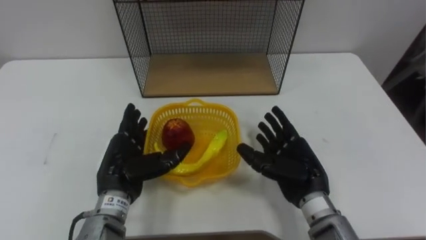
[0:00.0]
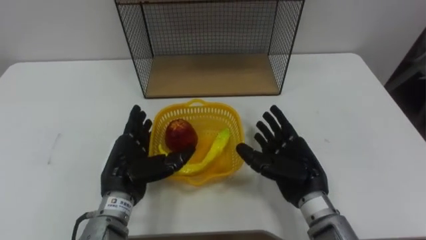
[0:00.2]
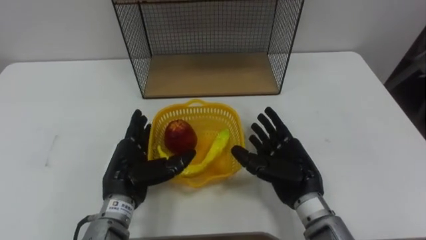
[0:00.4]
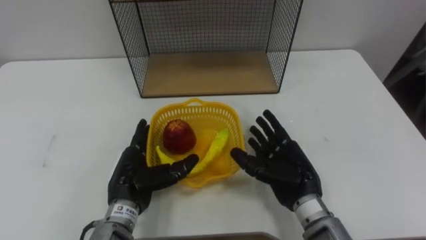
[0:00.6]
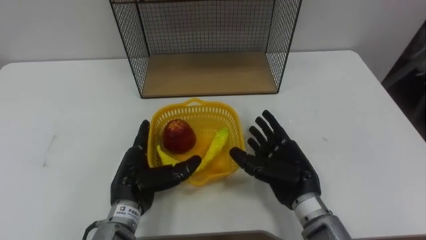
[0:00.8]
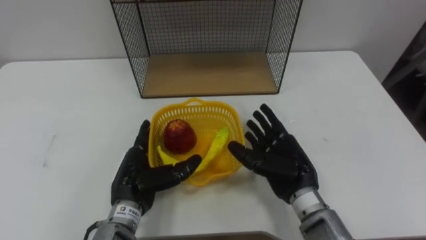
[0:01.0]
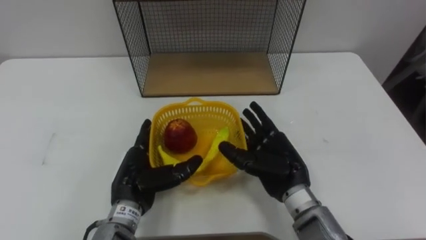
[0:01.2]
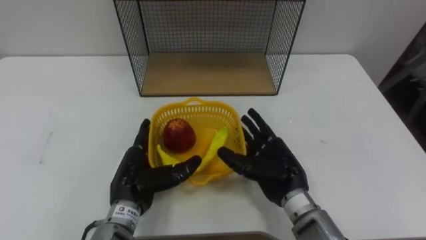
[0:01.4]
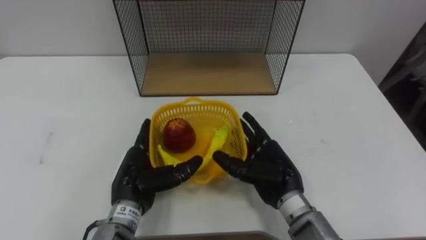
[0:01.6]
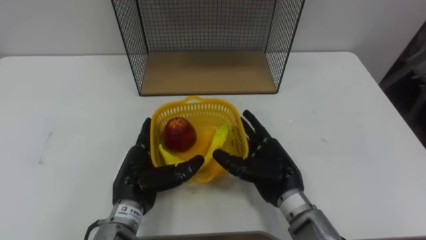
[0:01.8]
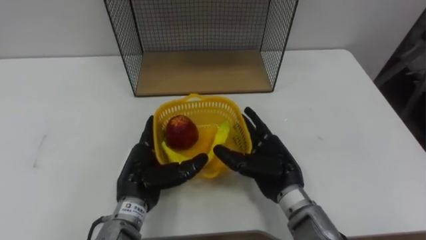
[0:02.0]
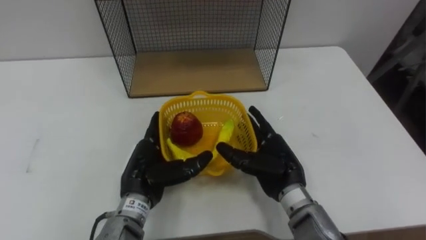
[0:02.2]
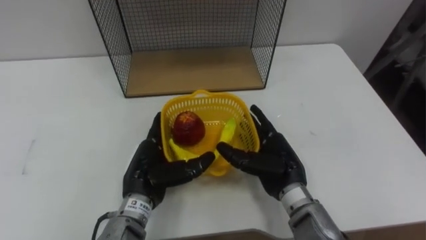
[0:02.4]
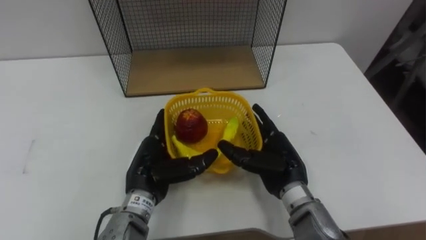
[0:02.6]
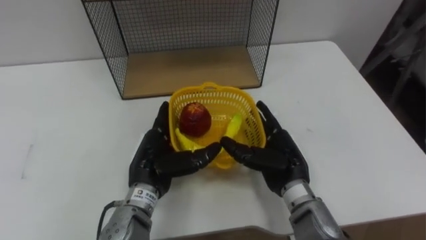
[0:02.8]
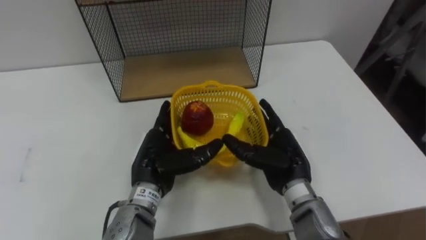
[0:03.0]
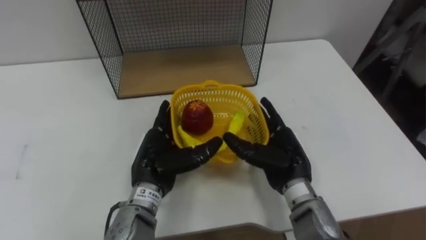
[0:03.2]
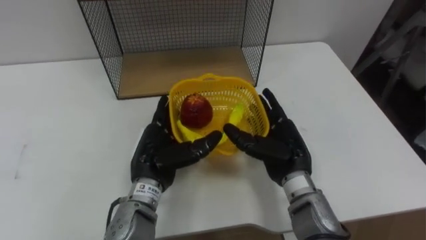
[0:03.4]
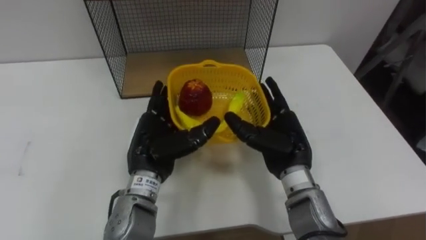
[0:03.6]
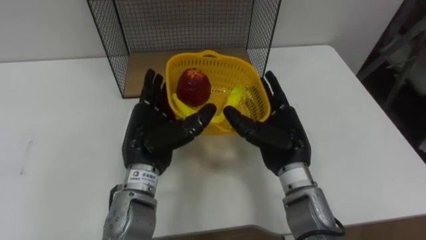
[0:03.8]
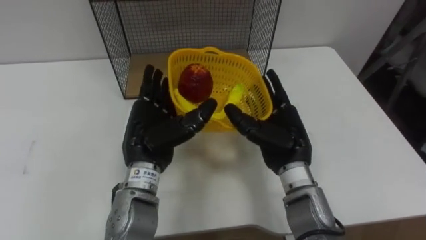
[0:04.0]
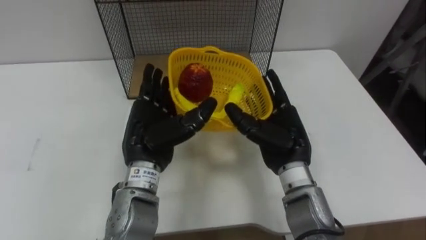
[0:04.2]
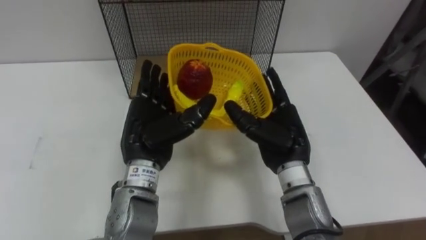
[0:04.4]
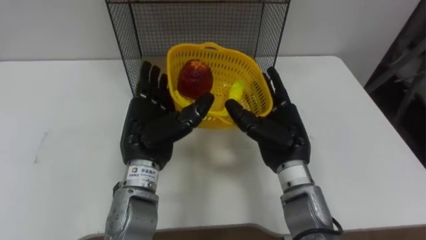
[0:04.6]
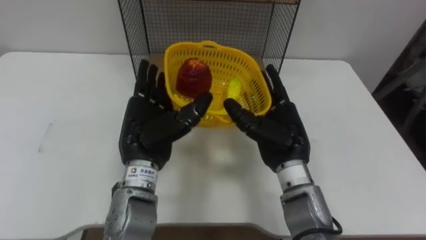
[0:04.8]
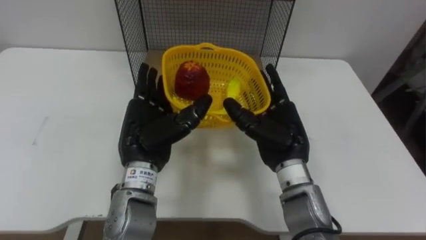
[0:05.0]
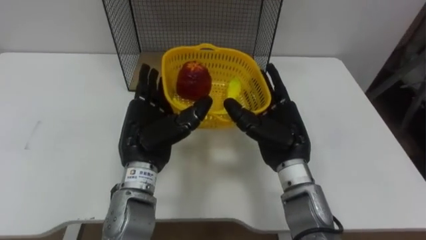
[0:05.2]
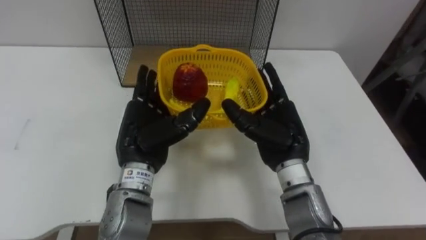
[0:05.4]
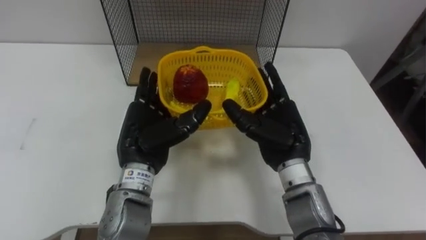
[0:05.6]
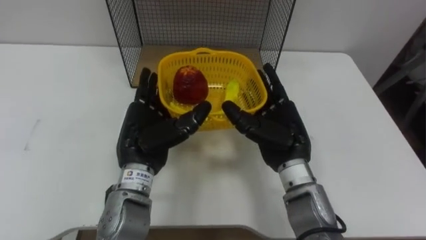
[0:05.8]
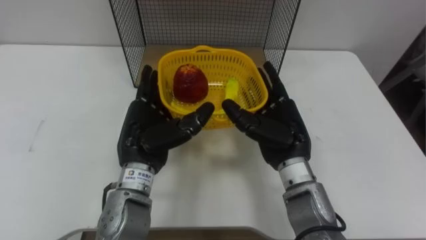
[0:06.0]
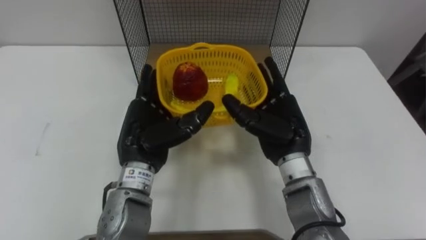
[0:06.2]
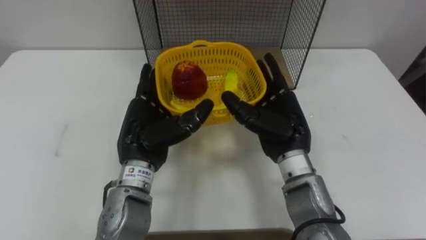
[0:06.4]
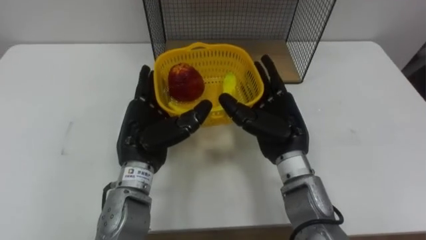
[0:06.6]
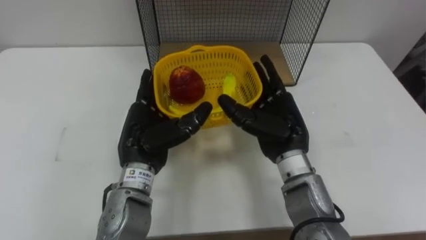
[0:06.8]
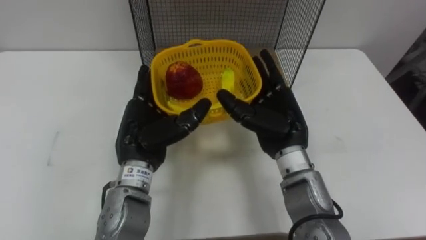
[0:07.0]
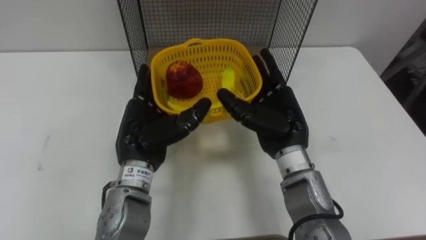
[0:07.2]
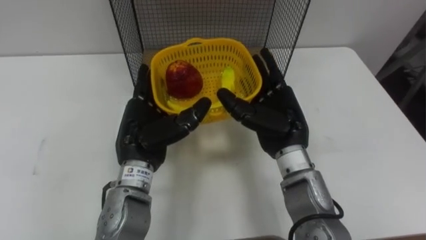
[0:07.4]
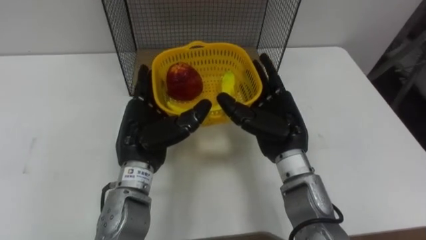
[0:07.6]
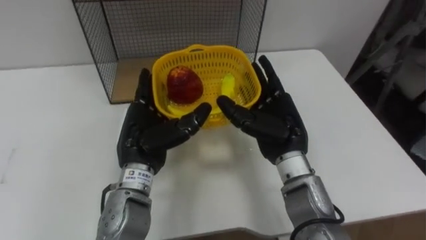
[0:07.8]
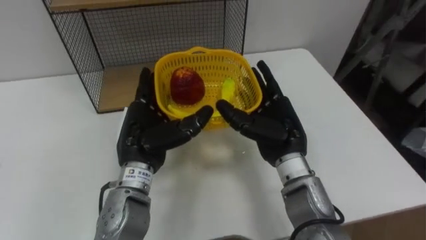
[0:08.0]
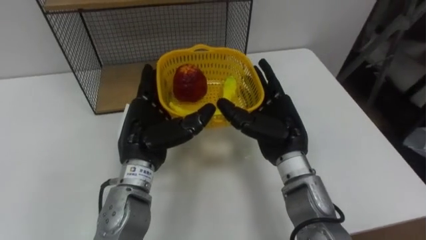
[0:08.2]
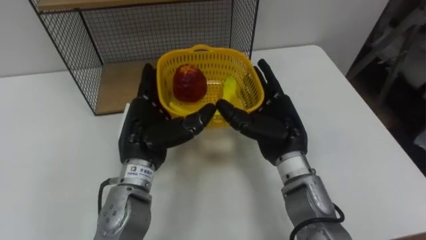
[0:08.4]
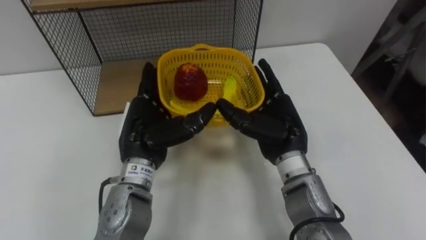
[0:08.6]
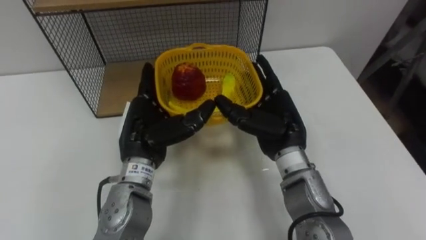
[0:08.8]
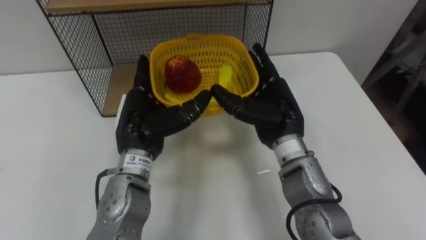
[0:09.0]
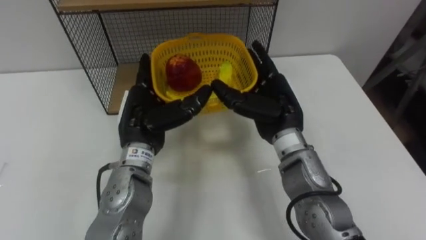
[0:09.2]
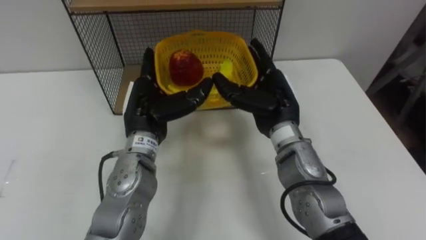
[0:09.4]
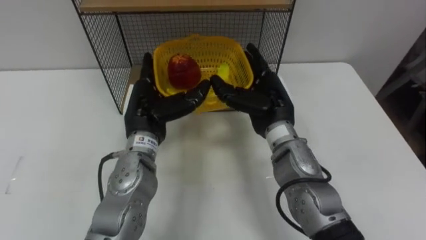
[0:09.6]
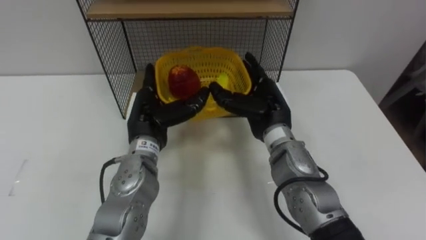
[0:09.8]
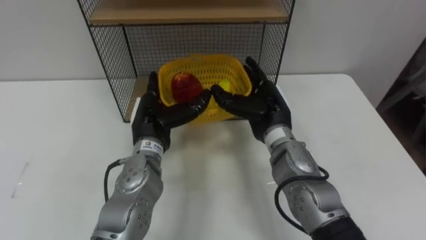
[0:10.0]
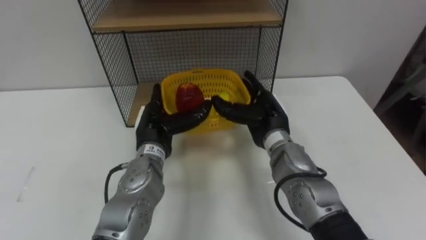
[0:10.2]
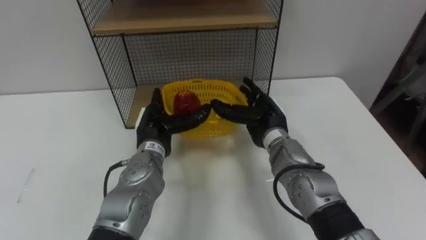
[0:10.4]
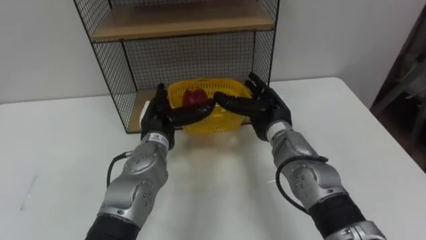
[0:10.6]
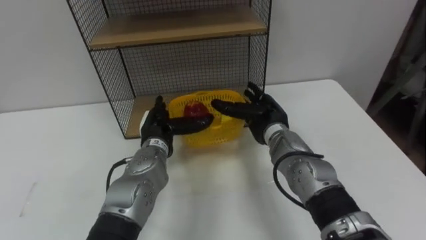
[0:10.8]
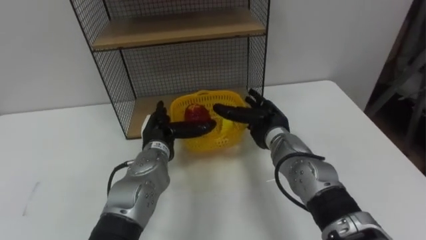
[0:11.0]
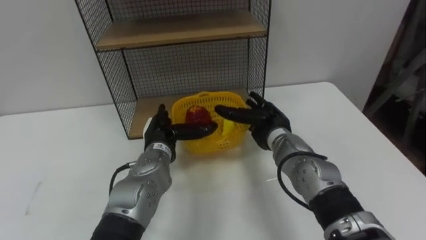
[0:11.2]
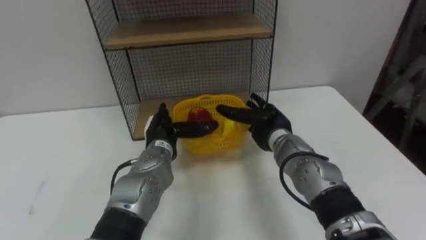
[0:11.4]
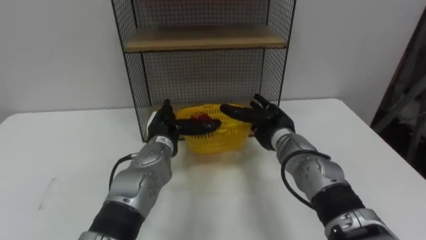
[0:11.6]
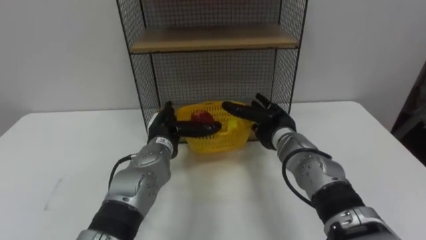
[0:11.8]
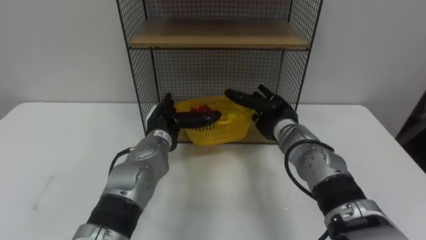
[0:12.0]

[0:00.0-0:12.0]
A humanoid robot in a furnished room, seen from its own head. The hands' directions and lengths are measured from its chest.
Task of the whole recording: Put the fruit on the table into the basket, then place the basket on the shelf.
0:00.0 to 0:01.6: There are only small adjustments of the hands.
0:01.6 to 0:03.0: The left hand changes place by approximately 5 cm.
0:03.0 to 0:04.4: The left hand is displaced upward by about 5 cm, while the right hand moves about 5 cm.
0:09.0 to 0:10.4: Both hands travel together downward, approximately 5 cm.

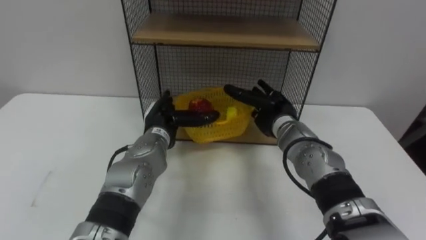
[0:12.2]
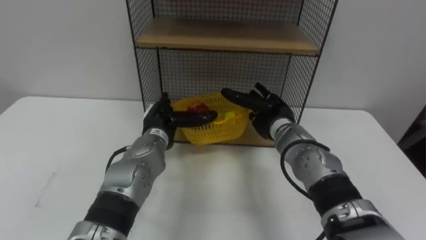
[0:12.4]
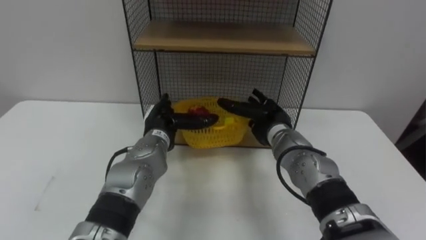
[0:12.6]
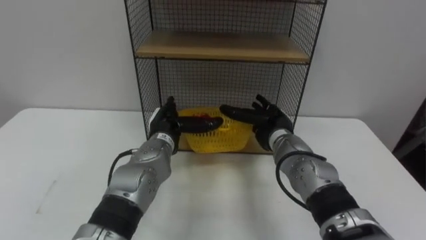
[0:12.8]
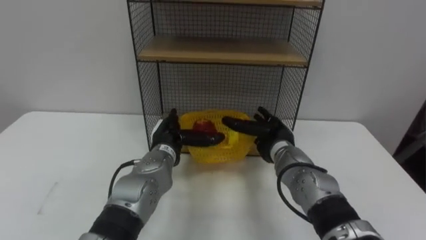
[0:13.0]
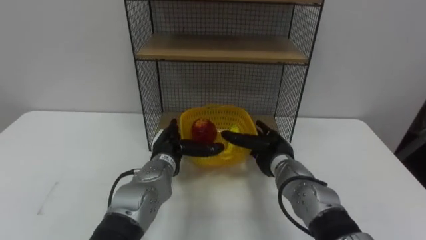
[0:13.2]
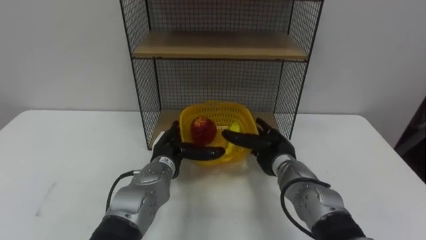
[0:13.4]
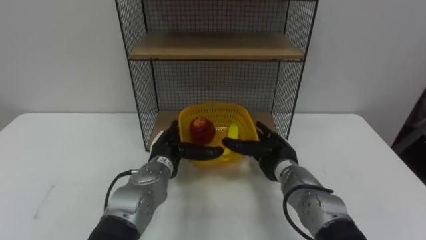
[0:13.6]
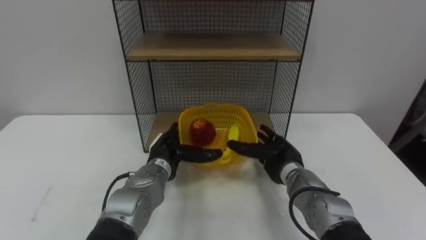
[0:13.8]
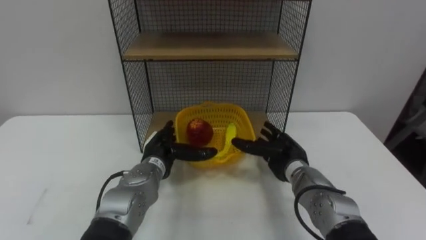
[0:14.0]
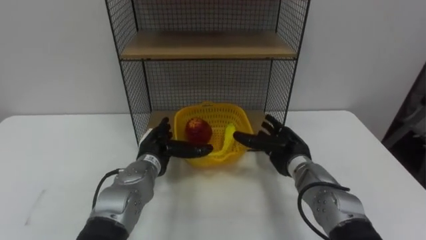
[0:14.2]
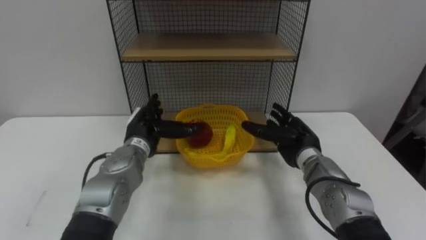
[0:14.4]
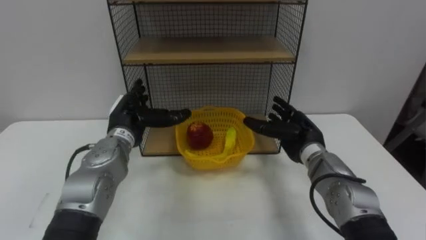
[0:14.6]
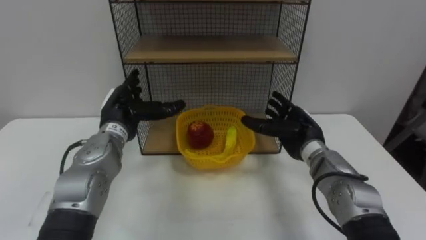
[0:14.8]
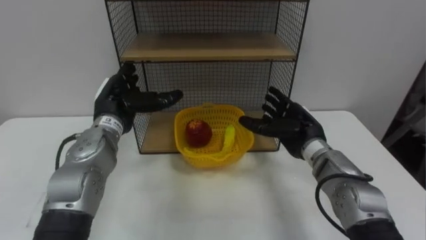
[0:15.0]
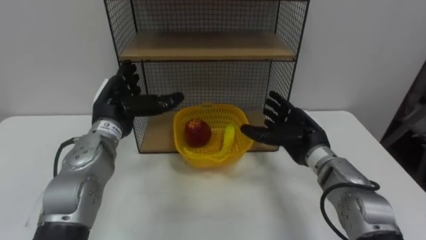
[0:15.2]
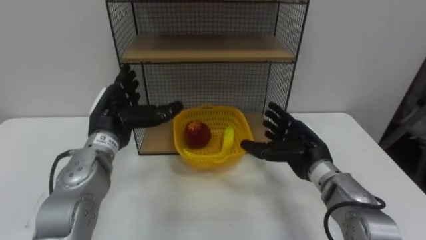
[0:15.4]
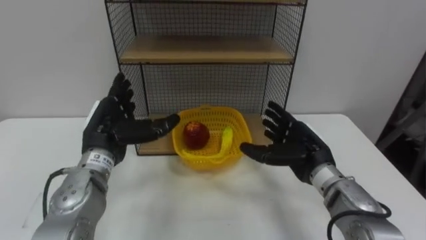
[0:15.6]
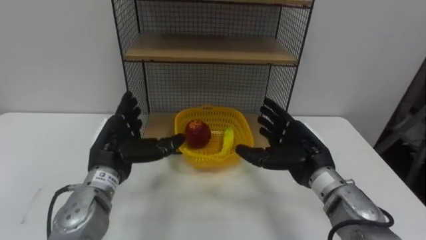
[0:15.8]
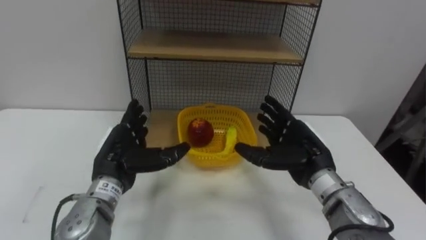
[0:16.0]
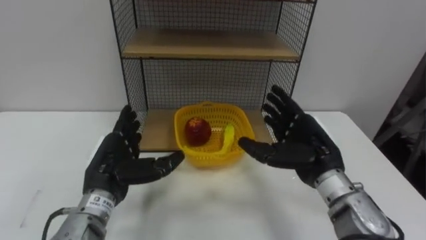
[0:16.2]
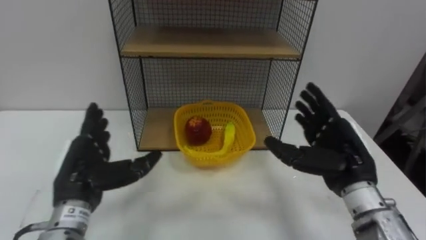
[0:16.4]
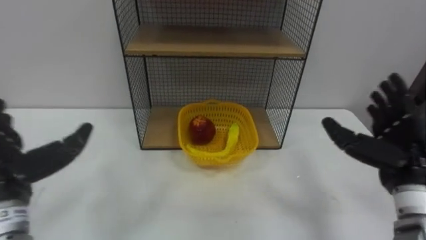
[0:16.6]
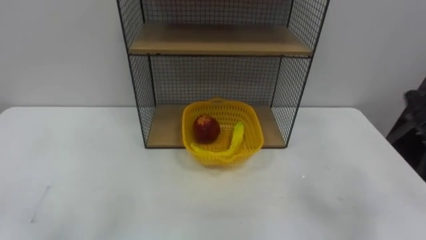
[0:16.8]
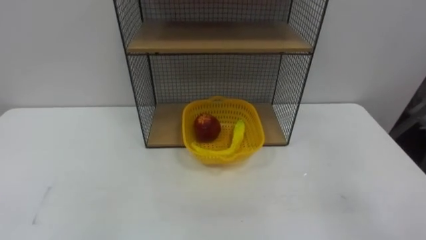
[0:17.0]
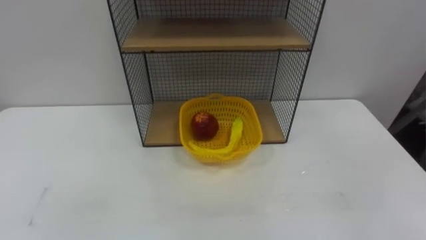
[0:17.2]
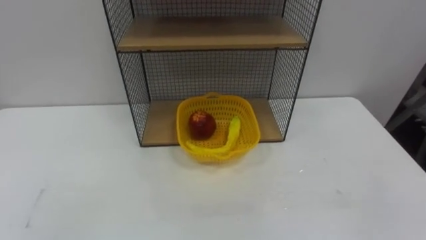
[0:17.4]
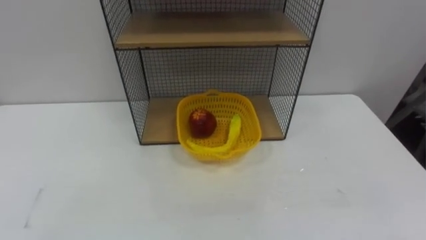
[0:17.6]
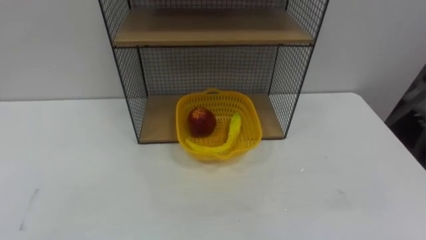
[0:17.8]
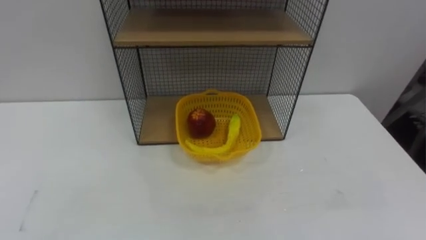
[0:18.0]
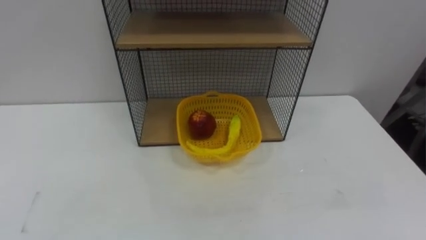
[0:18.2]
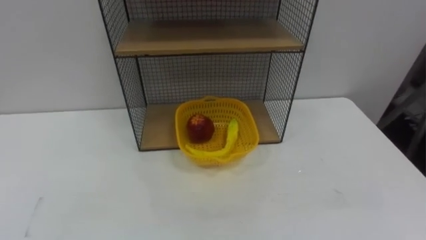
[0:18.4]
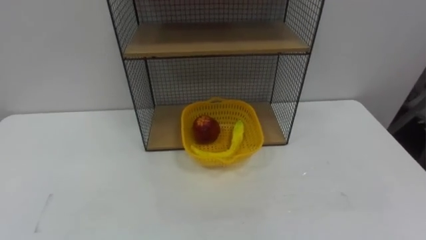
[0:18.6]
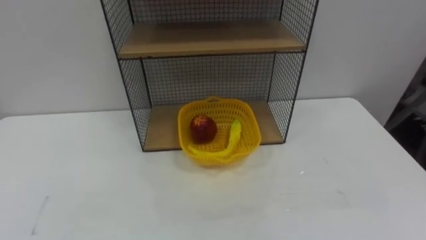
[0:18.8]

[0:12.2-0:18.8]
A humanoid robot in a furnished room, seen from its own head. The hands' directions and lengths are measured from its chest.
Task of the whole recording: Put the fruit on the table into the basket, then place the basket on the shelf.
0:12.2 to 0:13.8: The right hand is displaced downward and backward by roughly 10 cm. Meanwhile the left hand goes some 5 cm downward.
0:13.8 to 0:15.4: The right hand moves upward, about 5 cm. The left hand goes approximately 15 cm upward and to the left.
